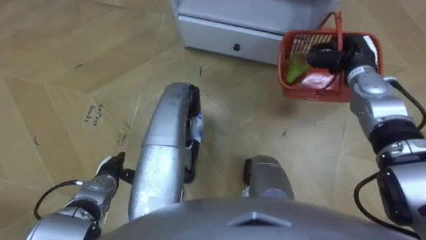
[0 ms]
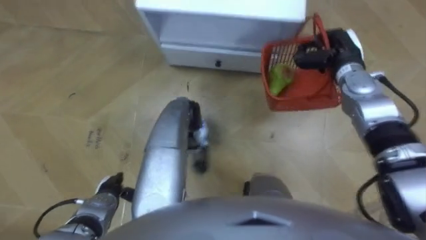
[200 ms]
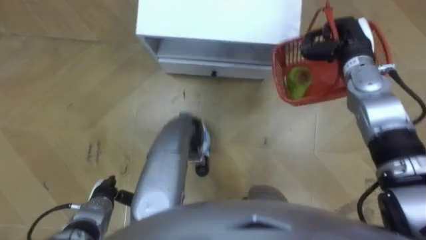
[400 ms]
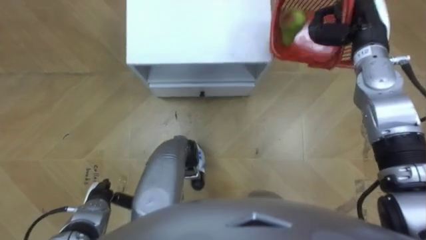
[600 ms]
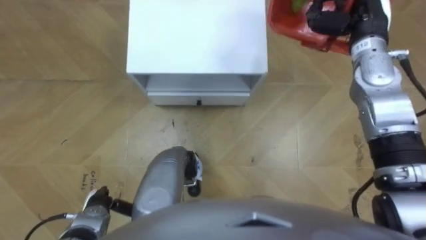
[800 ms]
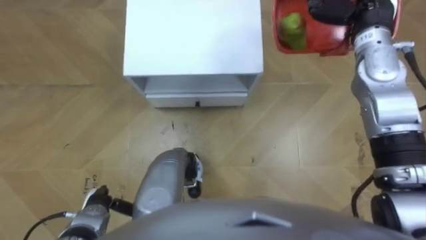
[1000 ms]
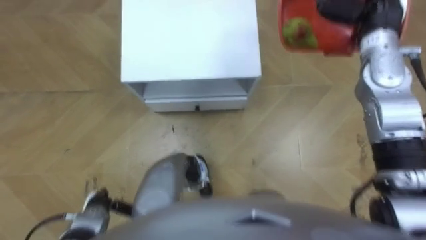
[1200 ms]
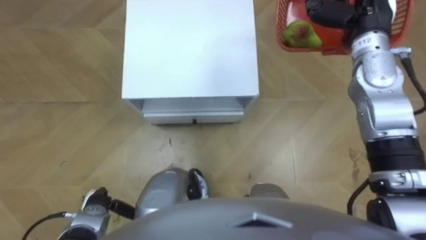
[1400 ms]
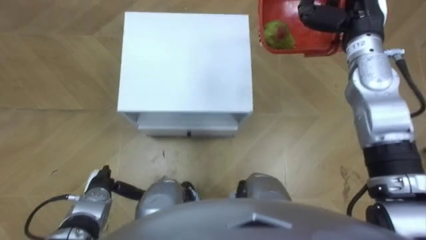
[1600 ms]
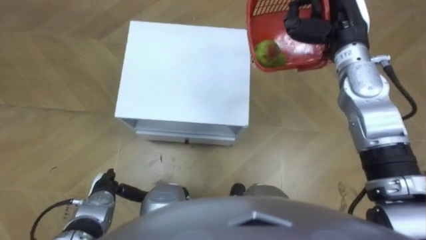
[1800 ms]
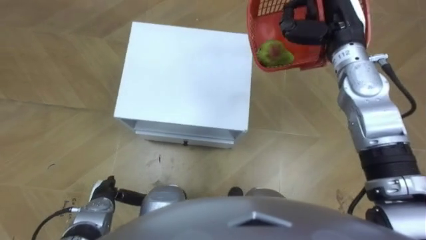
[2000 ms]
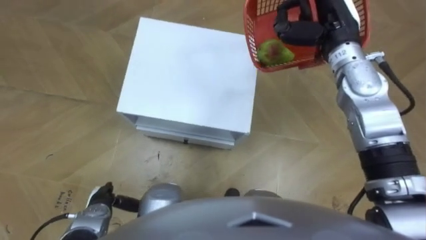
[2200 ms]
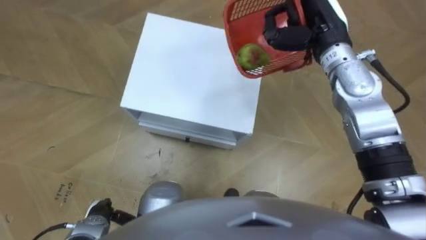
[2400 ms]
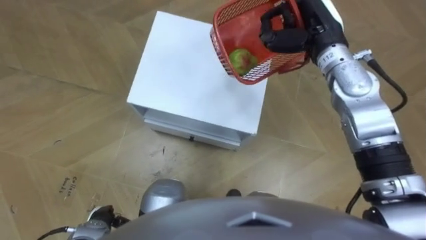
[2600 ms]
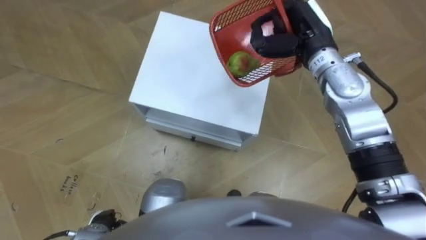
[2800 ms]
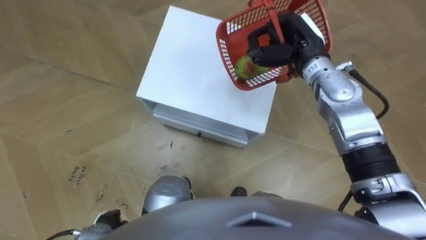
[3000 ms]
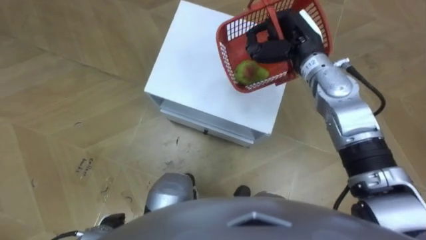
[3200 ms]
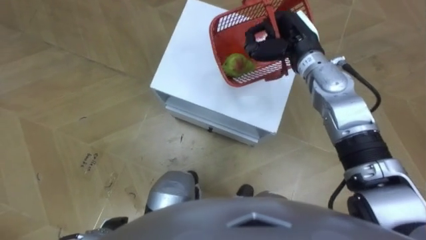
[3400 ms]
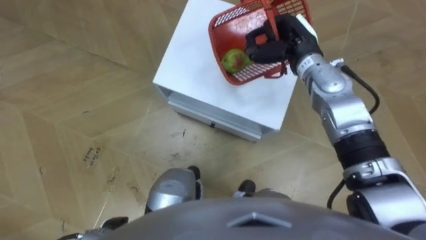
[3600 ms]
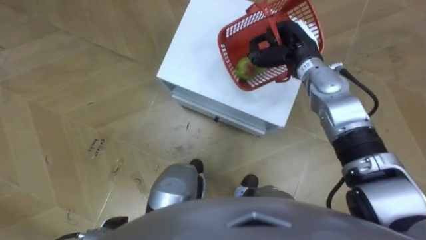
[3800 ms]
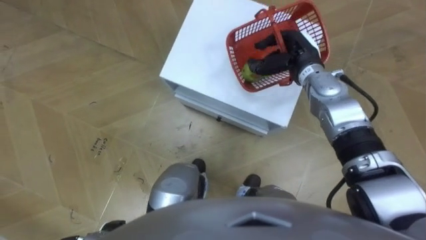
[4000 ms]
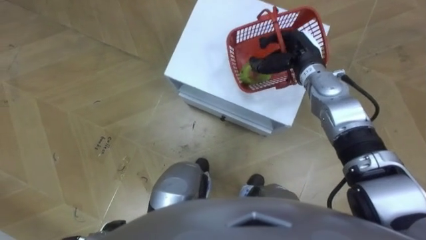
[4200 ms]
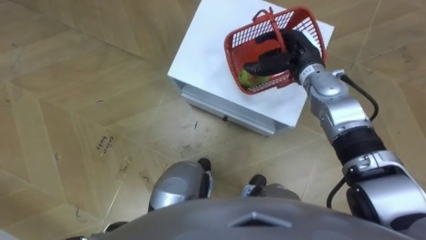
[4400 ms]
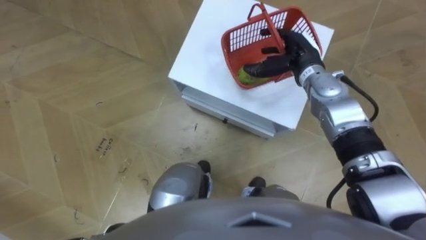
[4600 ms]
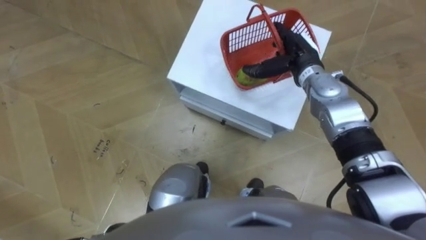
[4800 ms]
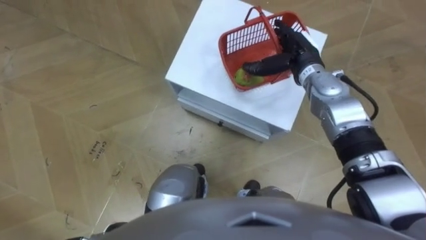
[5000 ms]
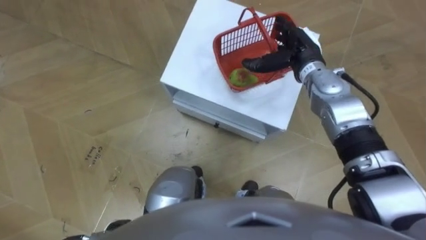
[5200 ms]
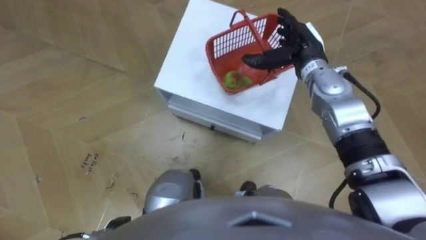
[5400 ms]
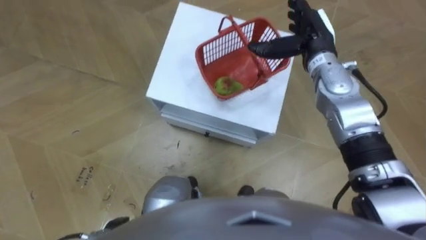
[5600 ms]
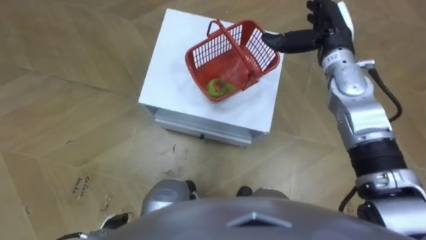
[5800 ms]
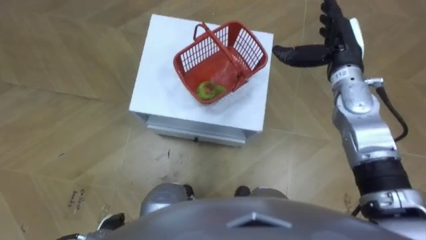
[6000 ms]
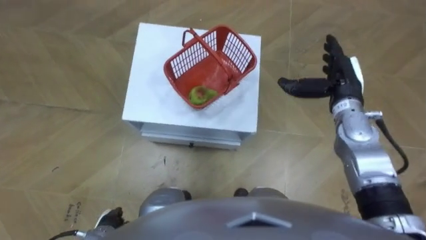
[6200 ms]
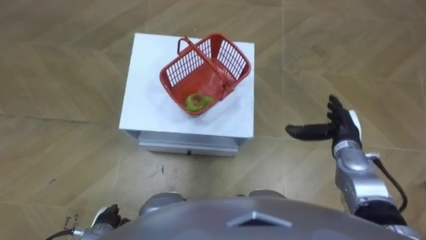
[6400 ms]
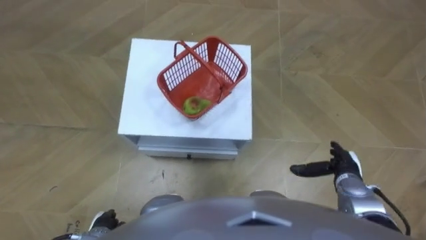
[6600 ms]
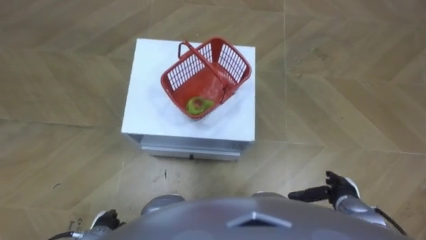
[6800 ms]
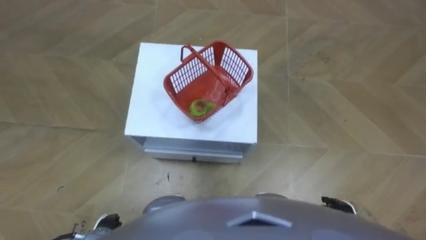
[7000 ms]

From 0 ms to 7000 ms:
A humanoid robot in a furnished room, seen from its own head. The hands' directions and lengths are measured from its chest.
Task of the whole recording: Pick up the fruit basket from the floor and place it on the cabinet.
From 0 ms to 1400 ms: The left hand is displaced backward by roughly 10 cm, while the right hand is displaced upward by roughly 10 cm.
From 1400 ms to 2800 ms: The right hand moves to the left, about 10 cm. The left hand shifts by about 5 cm.
From 2800 ms to 4200 ms: The right hand is displaced downward by about 10 cm.
From 4200 ms to 5600 ms: The right hand opens.
From 5600 ms to 7000 ms: The right hand moves backward and downward, approximately 40 cm.

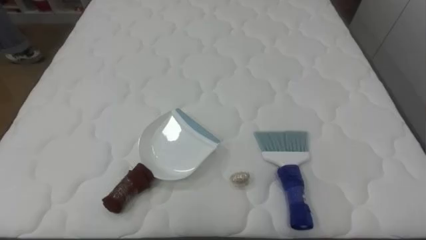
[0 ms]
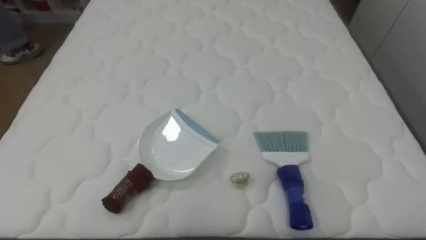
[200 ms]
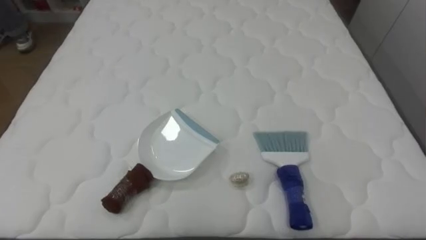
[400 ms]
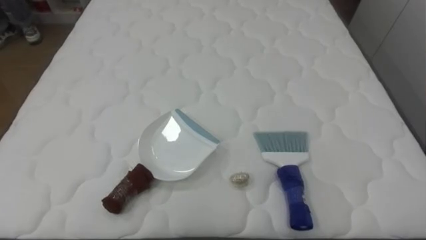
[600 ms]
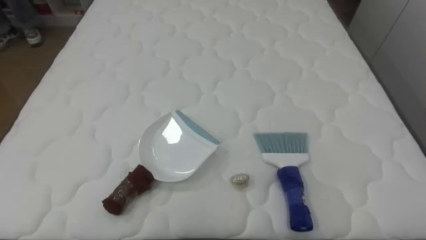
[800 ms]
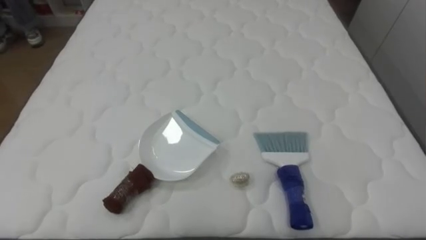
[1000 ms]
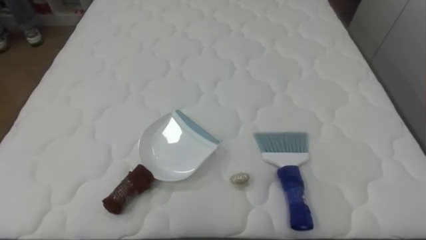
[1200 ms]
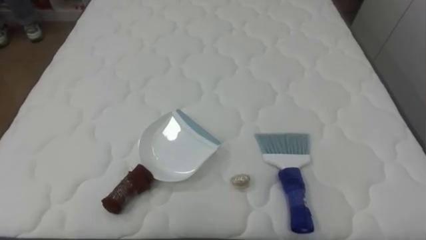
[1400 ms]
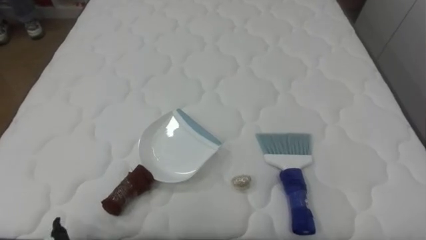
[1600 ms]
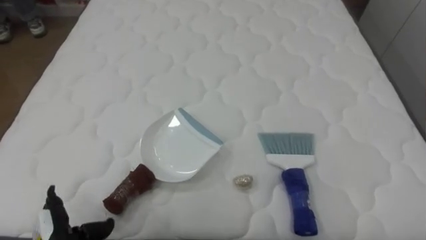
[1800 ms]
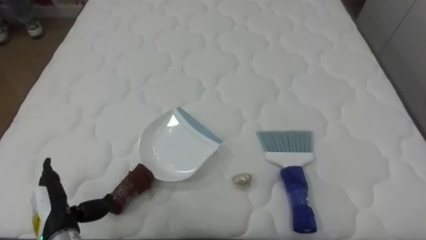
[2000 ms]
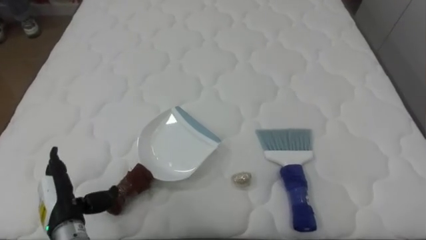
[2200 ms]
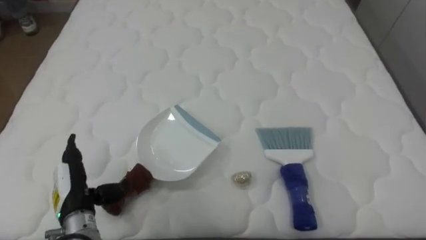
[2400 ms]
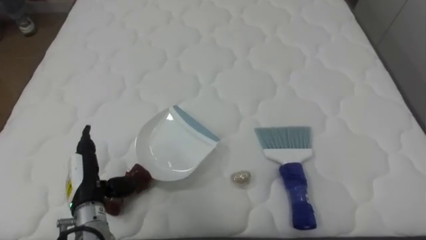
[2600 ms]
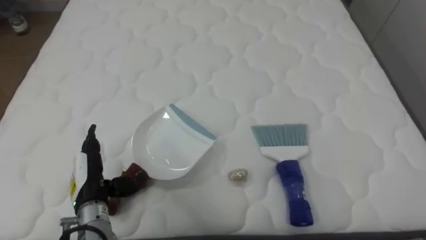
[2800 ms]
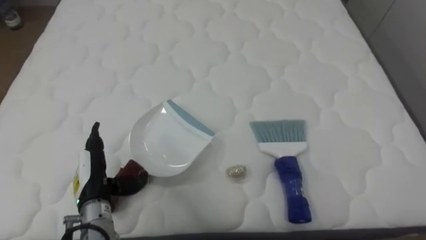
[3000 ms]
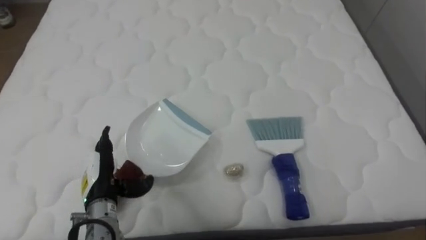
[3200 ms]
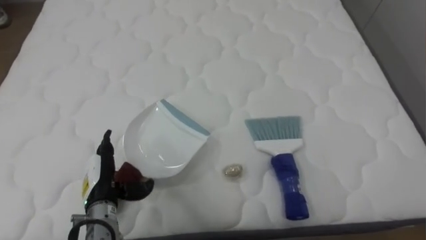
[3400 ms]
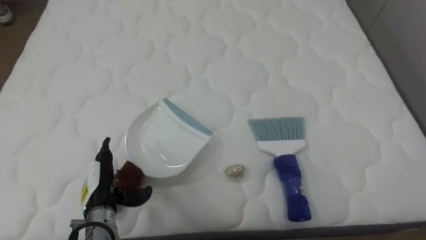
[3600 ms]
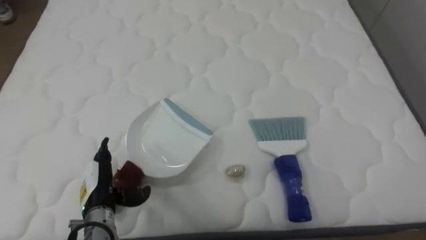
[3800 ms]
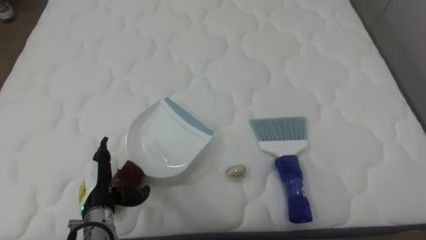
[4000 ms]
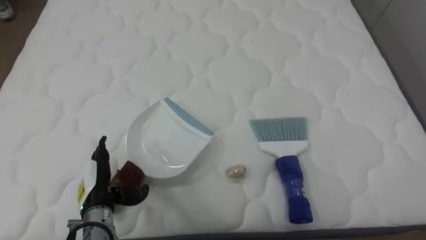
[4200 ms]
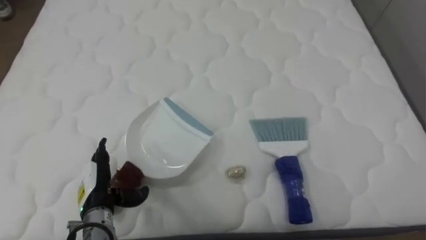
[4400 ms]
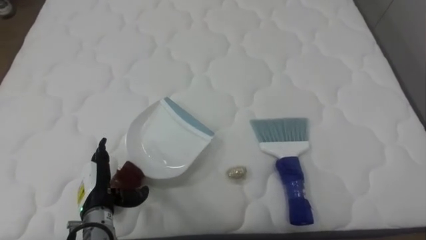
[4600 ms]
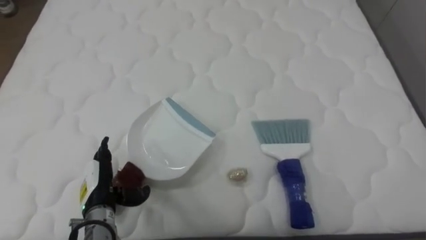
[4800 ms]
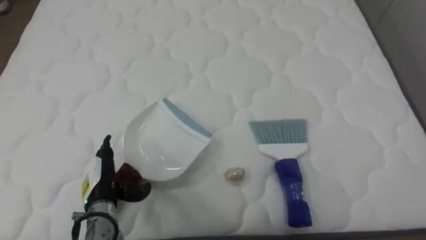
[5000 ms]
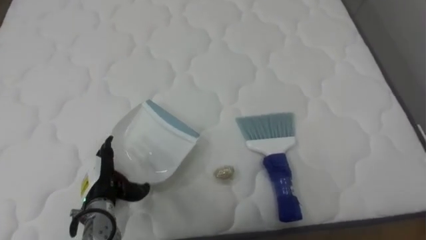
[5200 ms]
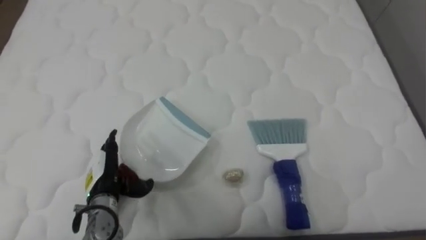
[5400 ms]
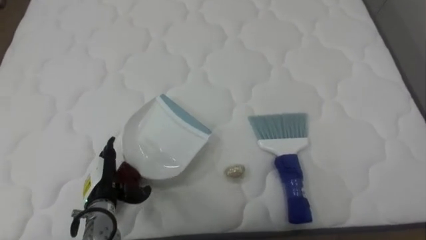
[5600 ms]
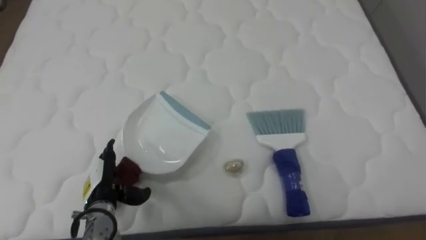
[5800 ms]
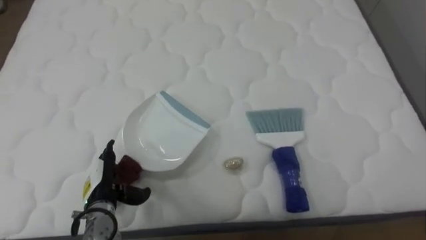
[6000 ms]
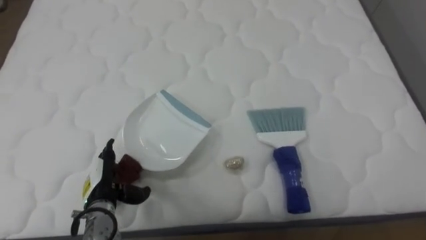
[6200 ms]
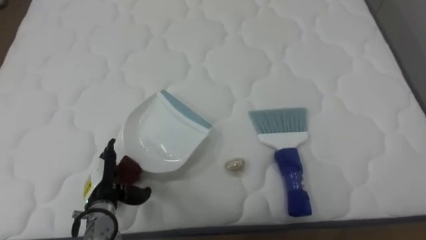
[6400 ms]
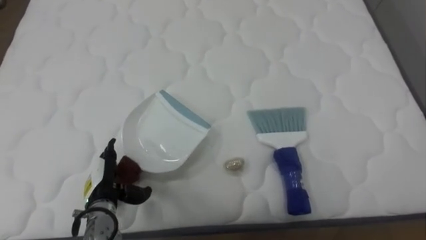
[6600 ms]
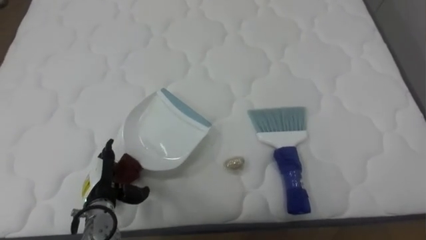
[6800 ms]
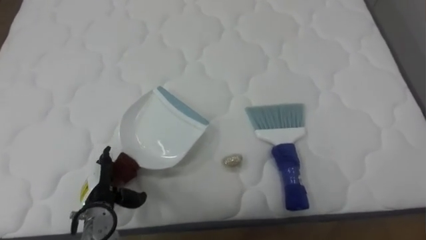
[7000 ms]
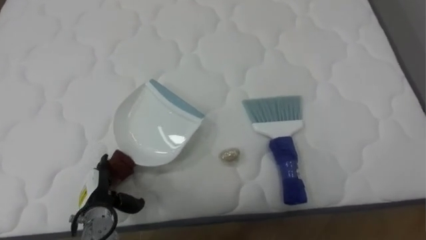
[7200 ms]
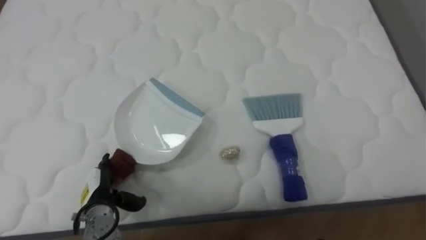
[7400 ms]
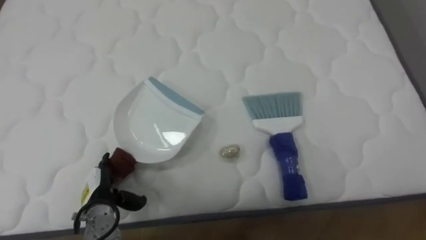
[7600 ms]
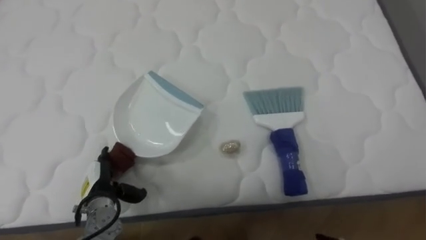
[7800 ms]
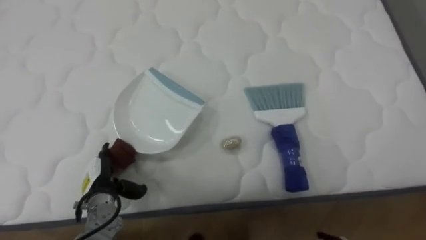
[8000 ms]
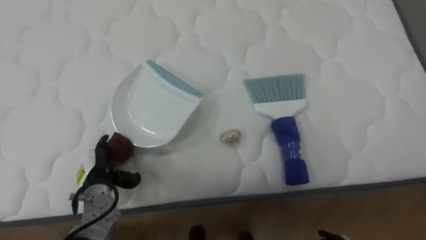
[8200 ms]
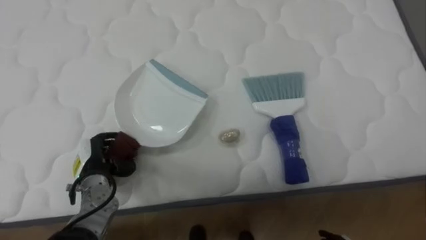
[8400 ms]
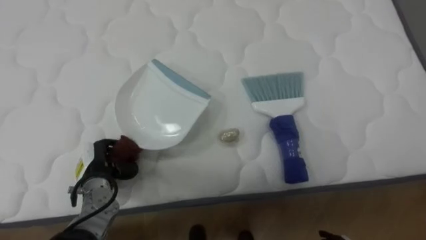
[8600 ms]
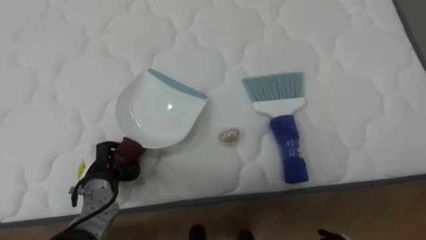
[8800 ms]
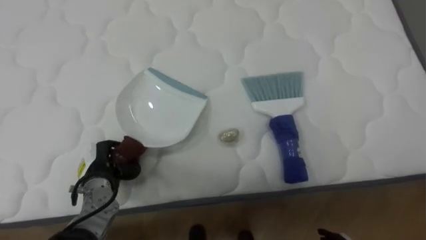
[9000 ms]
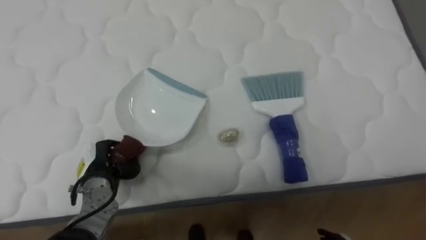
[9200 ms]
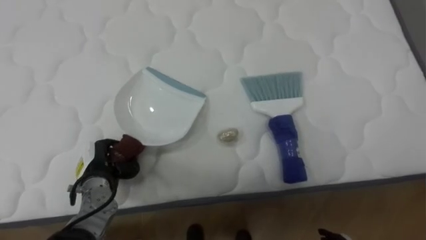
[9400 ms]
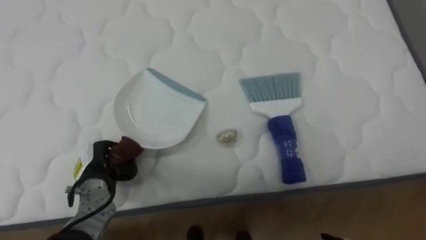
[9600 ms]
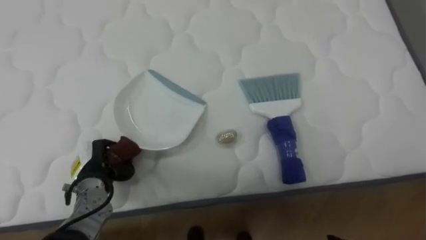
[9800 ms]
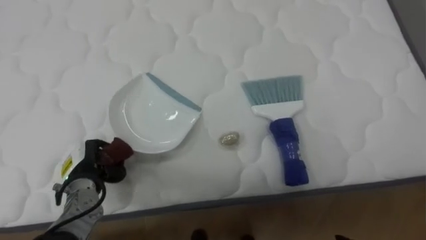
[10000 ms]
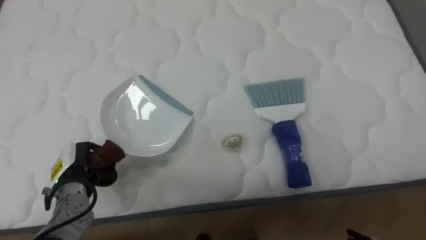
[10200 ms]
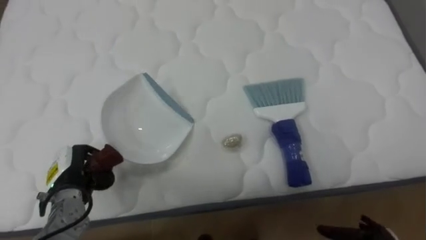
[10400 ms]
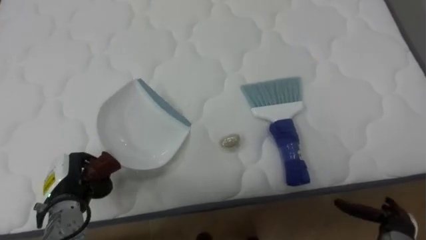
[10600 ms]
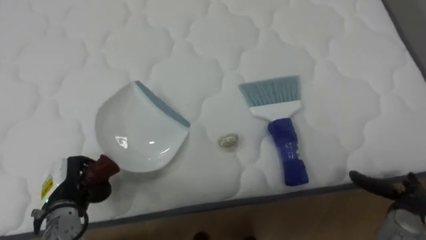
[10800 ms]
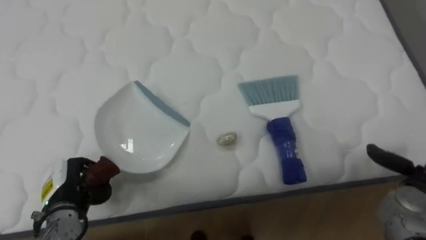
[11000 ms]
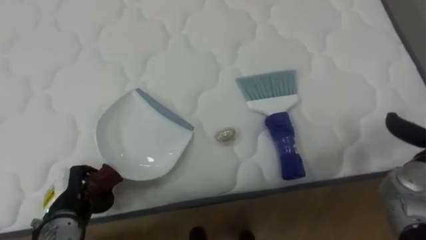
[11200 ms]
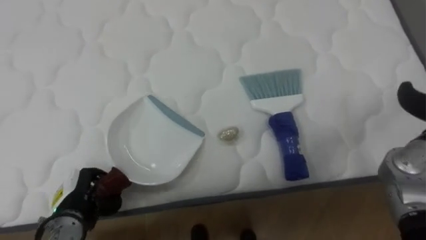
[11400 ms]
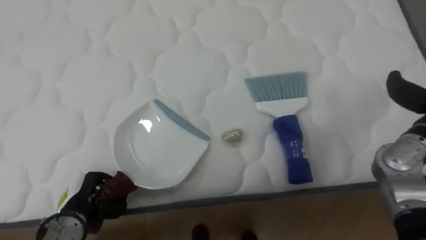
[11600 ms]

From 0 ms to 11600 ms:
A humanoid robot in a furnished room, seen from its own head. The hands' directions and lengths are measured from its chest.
Task of the whole recording: Pick up the brush on your right and the dustpan on your left. Use the brush to sweep the crumpled paper on the bed into the dustpan, then turn left and empty it into the basket.
From 7200 ms to 8800 ms: The left hand shifts by some 5 cm, and closes.
From 10200 ms to 11600 ms: The left hand moves backward, some 5 cm.
